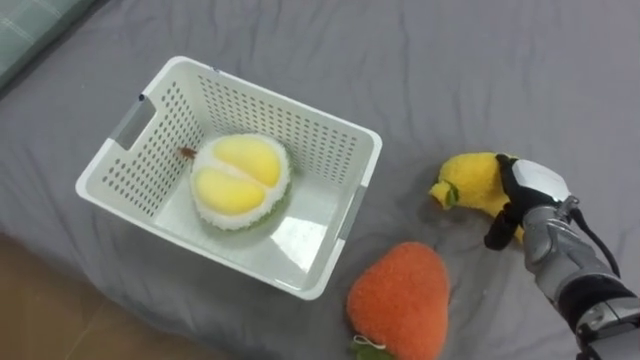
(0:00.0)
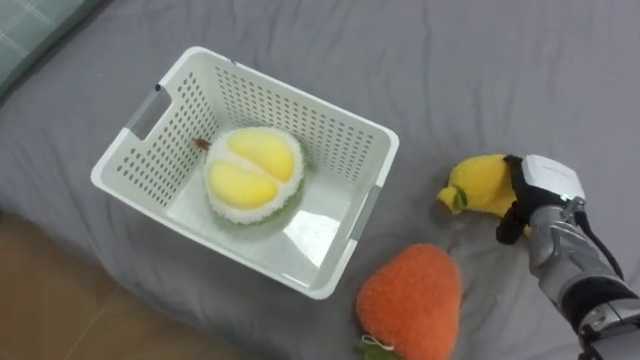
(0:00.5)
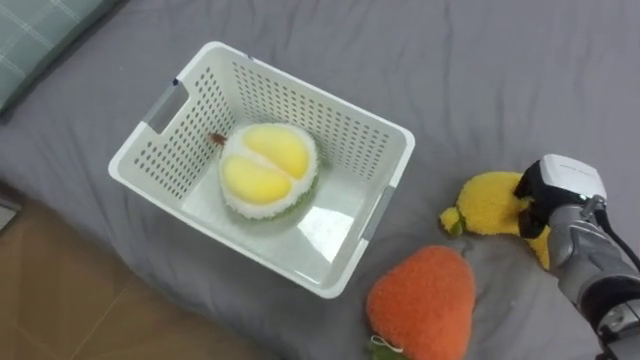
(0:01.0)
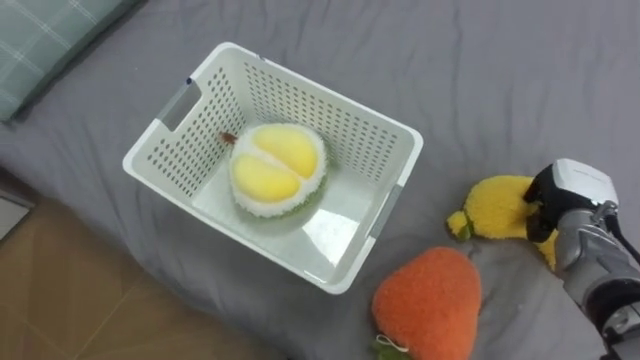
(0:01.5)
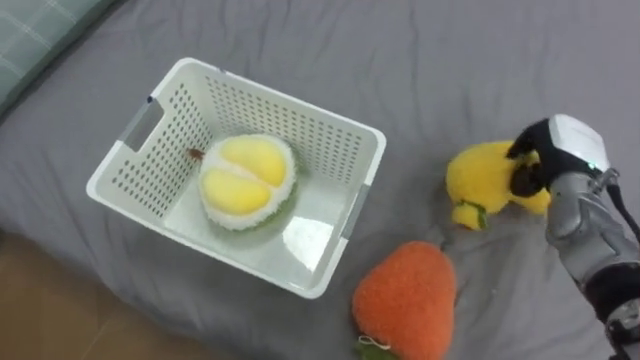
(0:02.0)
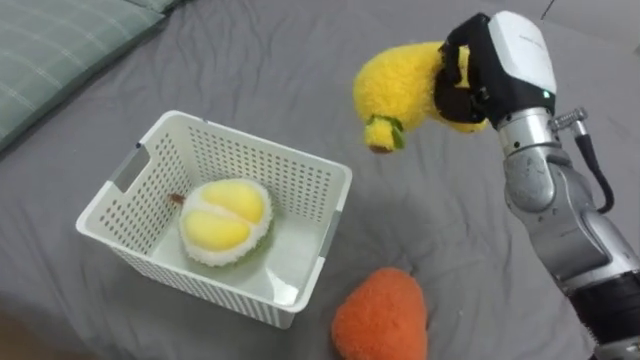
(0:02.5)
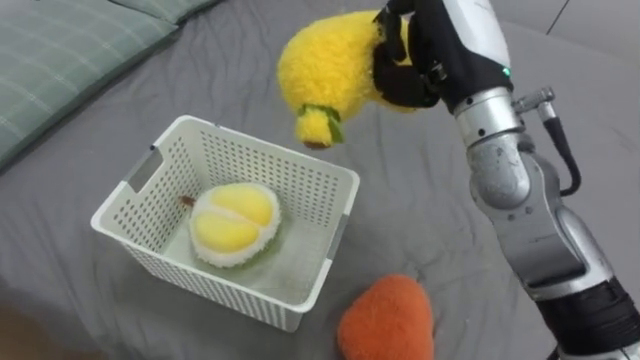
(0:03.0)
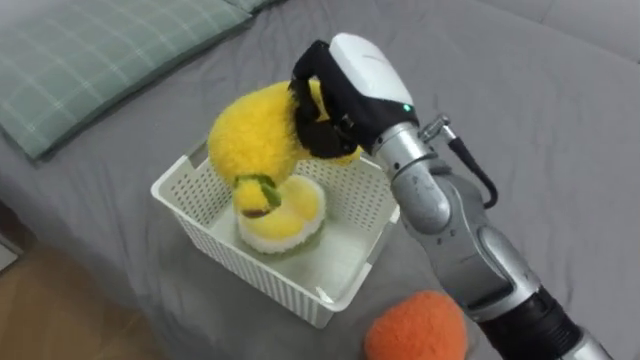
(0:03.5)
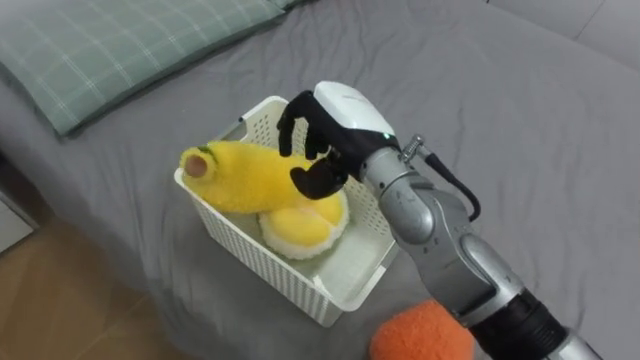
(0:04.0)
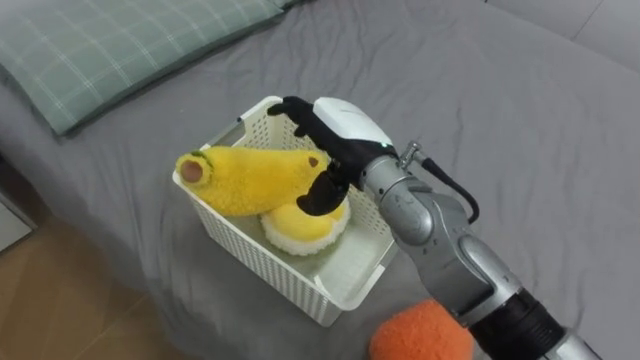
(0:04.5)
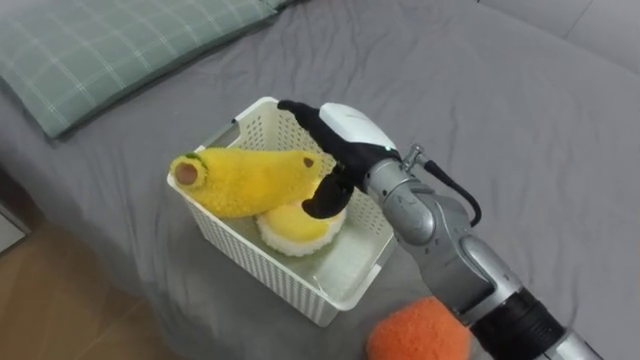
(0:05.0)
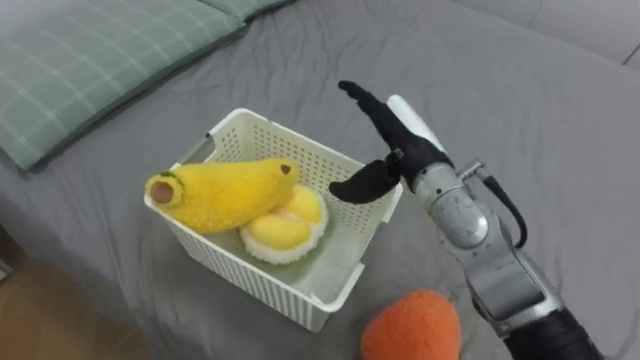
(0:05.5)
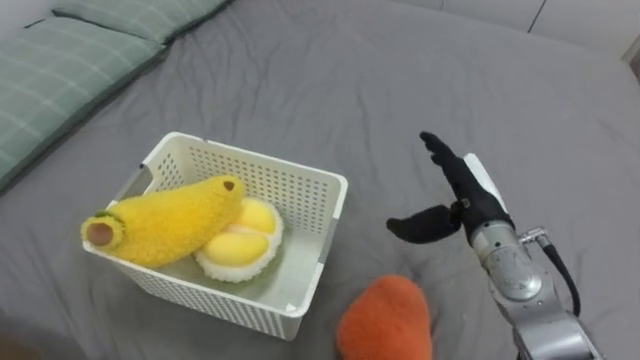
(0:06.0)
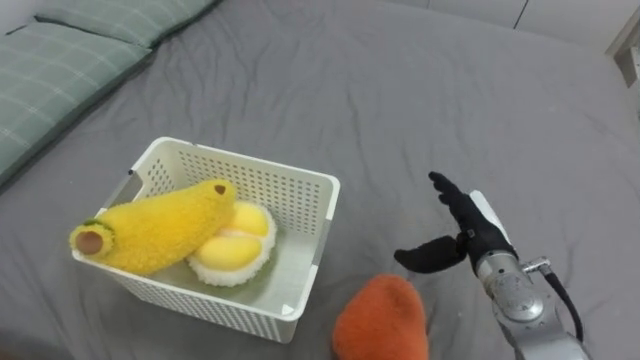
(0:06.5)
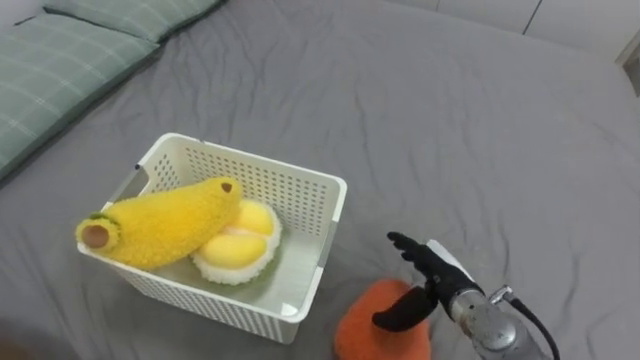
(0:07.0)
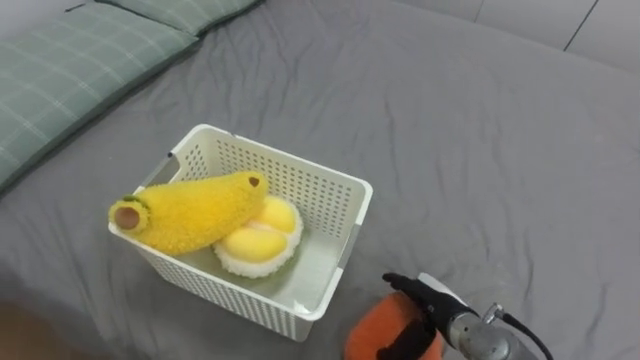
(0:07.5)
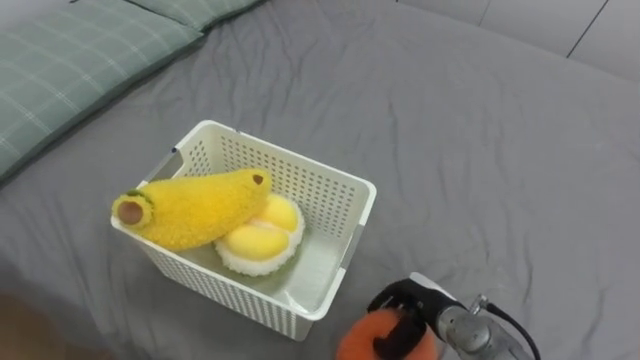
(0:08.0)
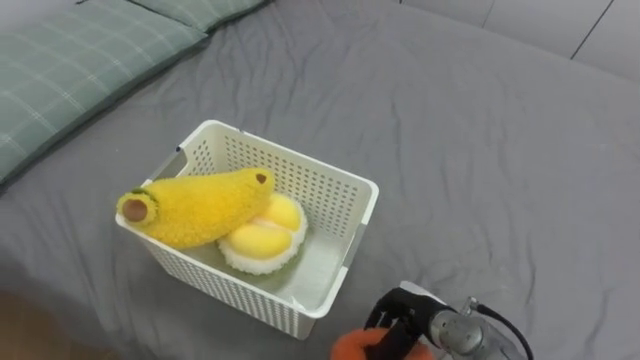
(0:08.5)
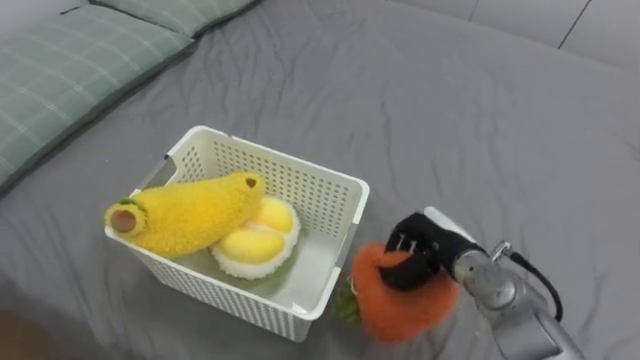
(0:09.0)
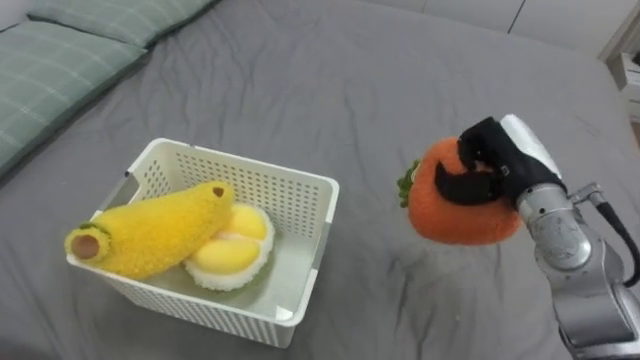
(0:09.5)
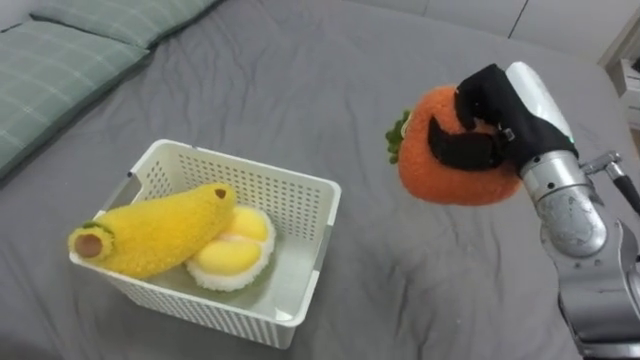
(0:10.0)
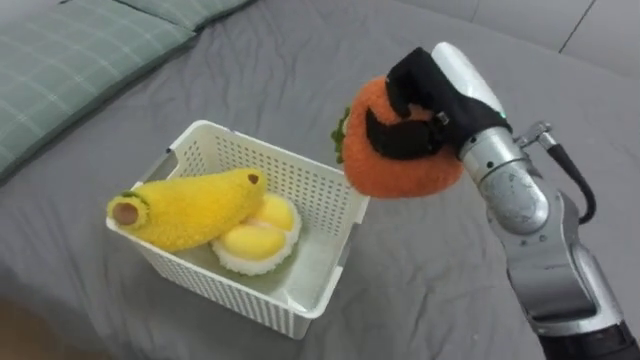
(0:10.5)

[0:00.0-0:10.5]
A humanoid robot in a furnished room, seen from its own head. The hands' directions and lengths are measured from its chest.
Task of the whole recording: Put the toys on the bed into the basket on the left.
0:00.0 to 0:02.0: The right hand goes some 5 cm upward, and closes its fingers.
0:02.0 to 0:04.0: The right hand is displaced to the left by about 30 cm.
0:04.0 to 0:06.5: The right hand moves to the right and downward, approximately 25 cm, and opens its fingers.
0:06.5 to 0:08.5: The right hand heads downward, backward and to the left, covering approximately 15 cm, and closes its fingers.
0:08.5 to 0:10.5: The right hand moves upward, some 30 cm.

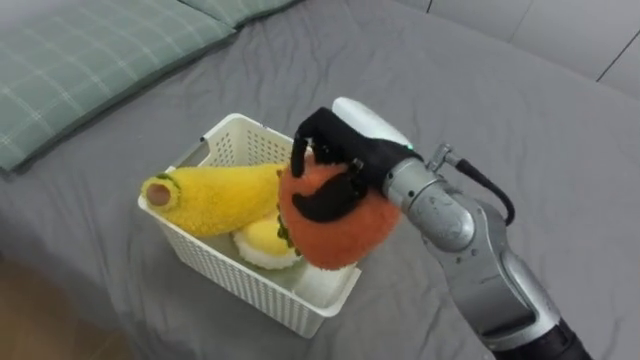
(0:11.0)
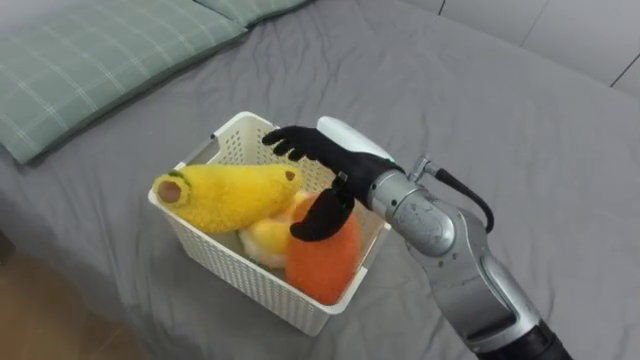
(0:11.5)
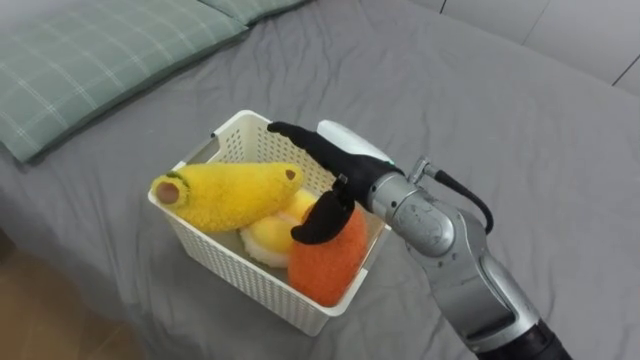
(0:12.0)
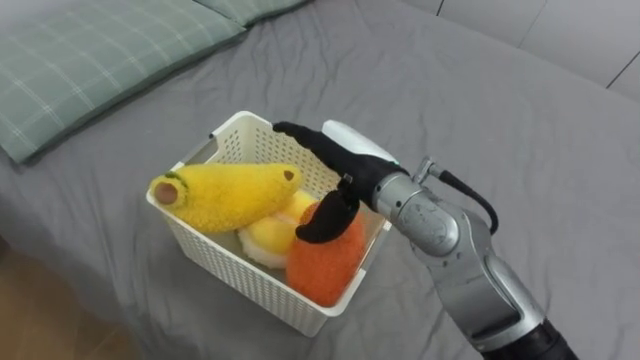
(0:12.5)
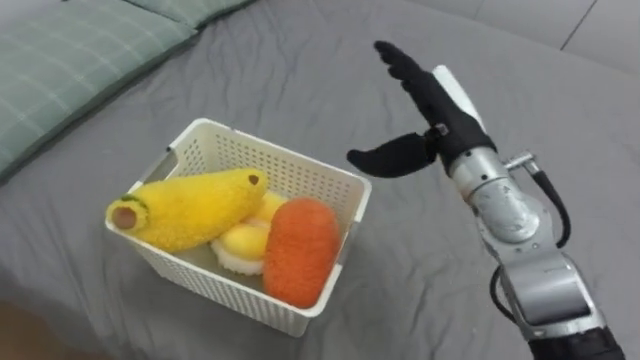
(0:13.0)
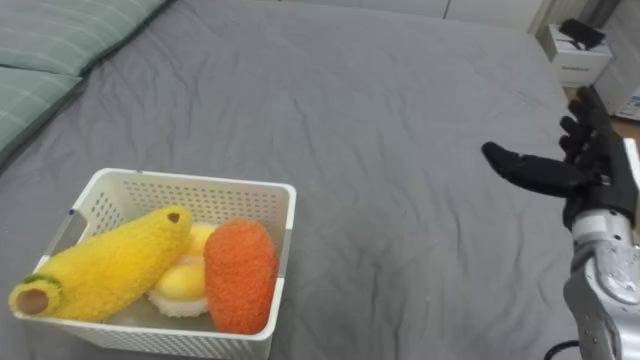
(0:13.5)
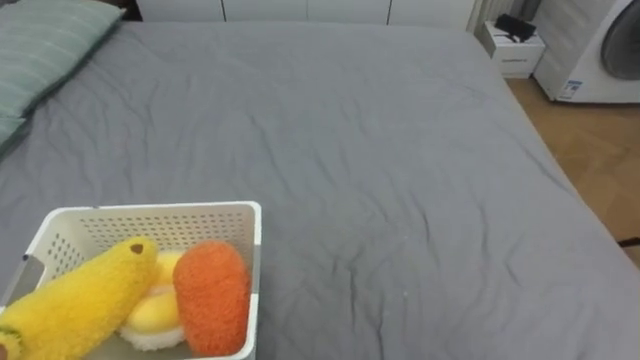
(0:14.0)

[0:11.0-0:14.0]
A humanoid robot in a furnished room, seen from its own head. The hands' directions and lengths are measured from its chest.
Task of the whole recording: Put the toys on the bed into the basket on the left.
0:11.0 to 0:12.5: The right hand opens.

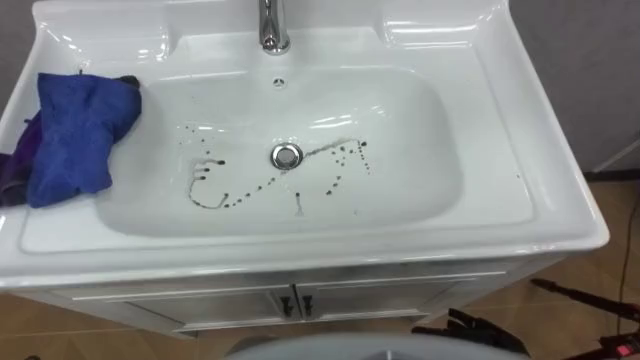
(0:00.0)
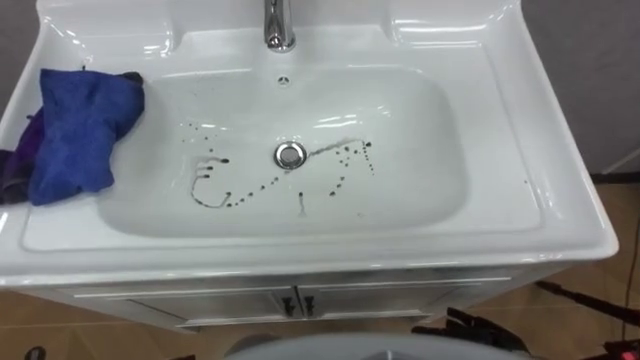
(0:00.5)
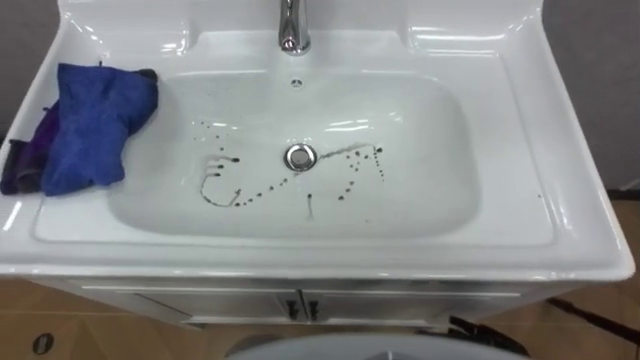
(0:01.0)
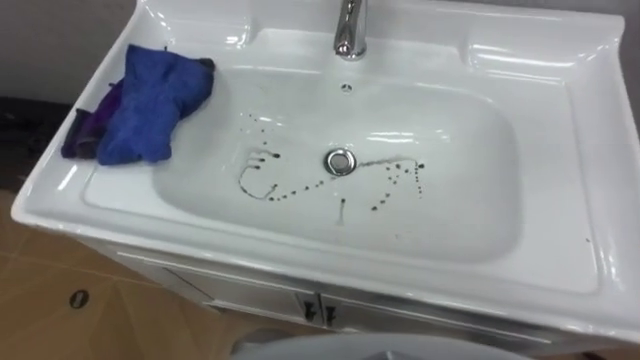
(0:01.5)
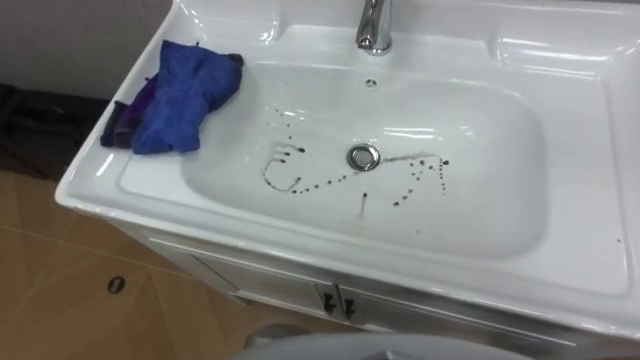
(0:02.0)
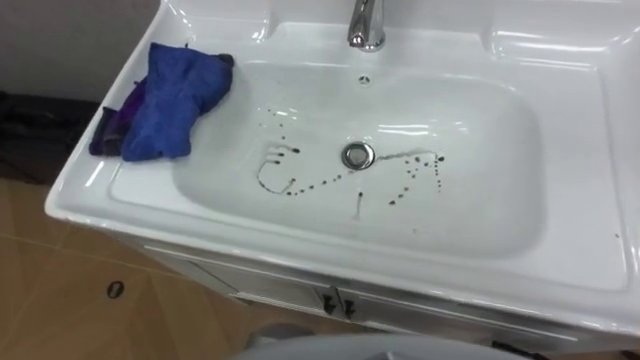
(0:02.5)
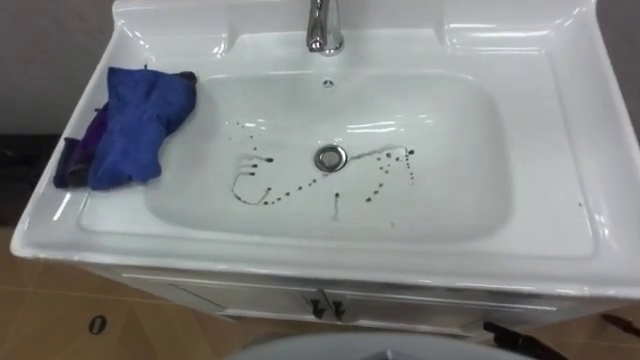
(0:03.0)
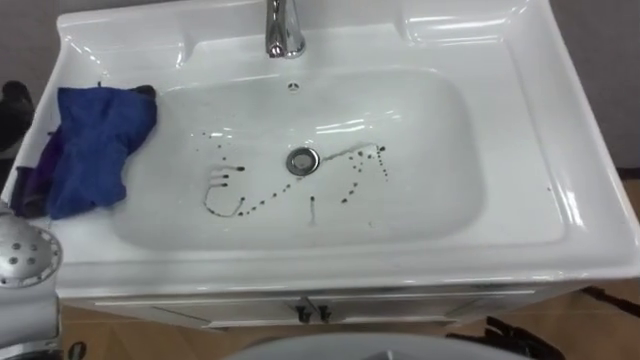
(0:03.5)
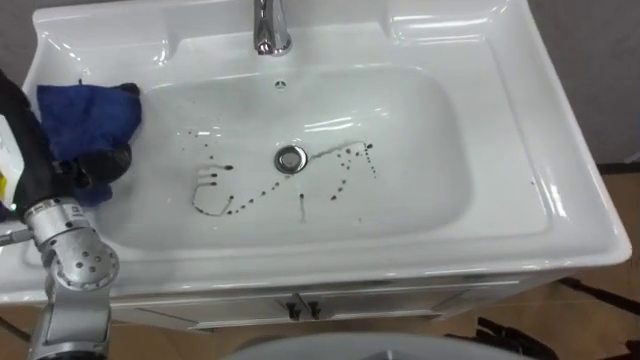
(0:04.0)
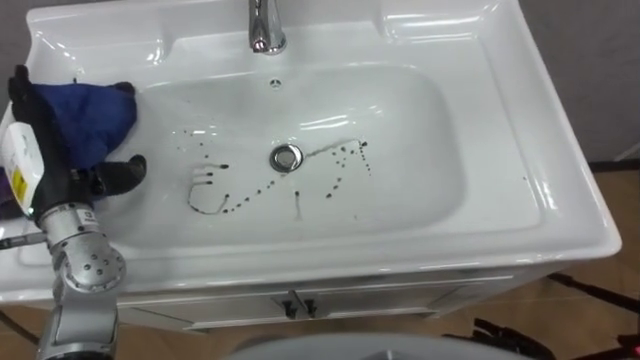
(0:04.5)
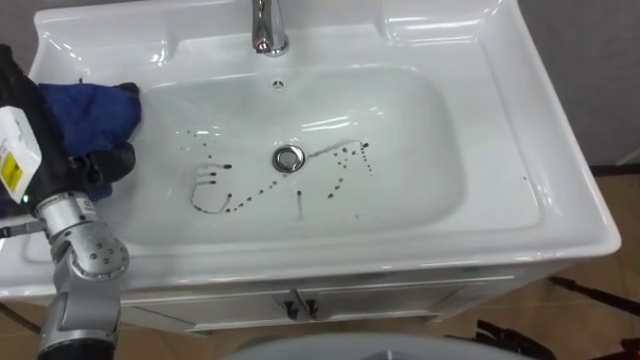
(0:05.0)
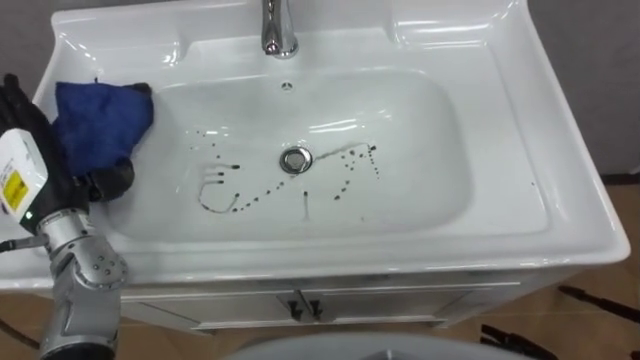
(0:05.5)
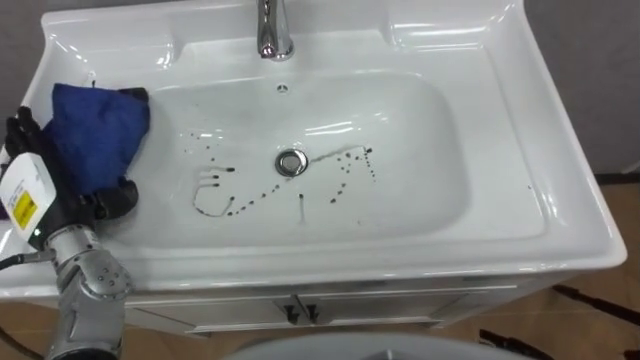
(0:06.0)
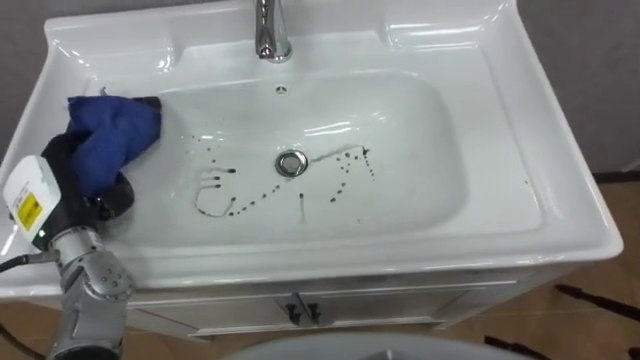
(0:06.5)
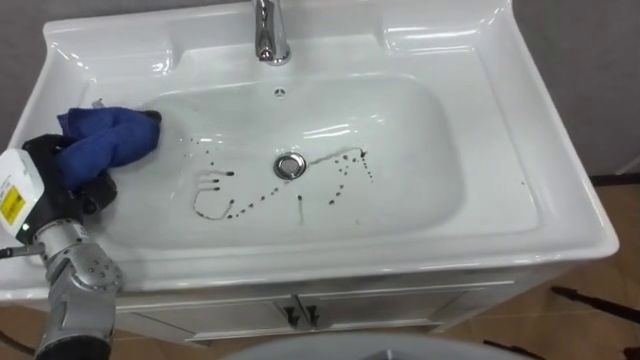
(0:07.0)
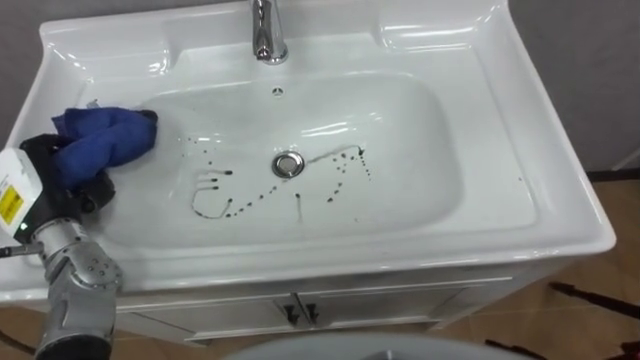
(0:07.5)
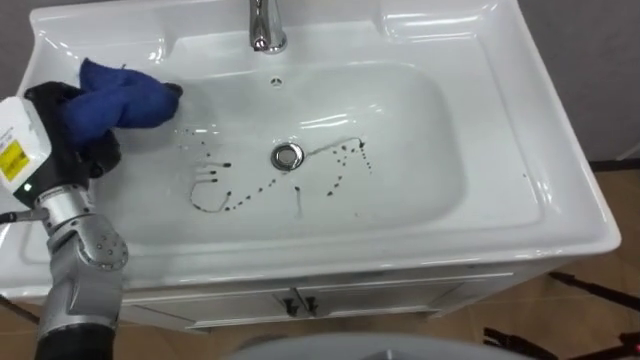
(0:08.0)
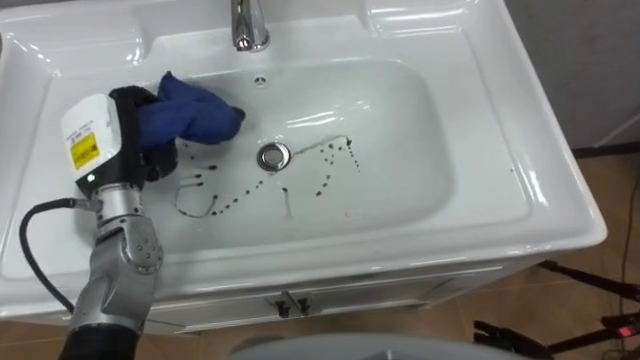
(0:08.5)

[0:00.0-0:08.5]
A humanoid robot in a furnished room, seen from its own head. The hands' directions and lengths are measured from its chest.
Task of the whole recording: Use the cloth on the right to wipe away the black stain in the sink.
0:04.0 to 0:06.5: The left hand heads downward, covering approximately 5 cm, and closes.
0:06.5 to 0:08.5: The left hand is displaced to the right and forward by some 10 cm, and closes.
